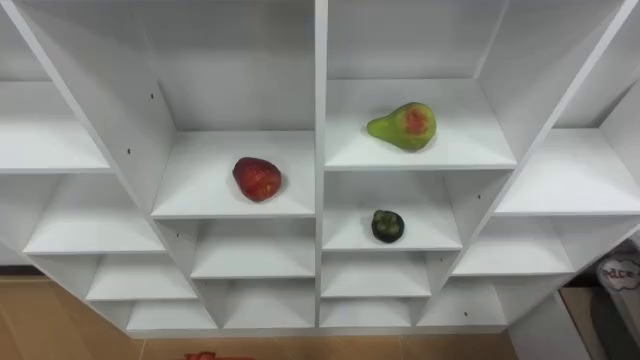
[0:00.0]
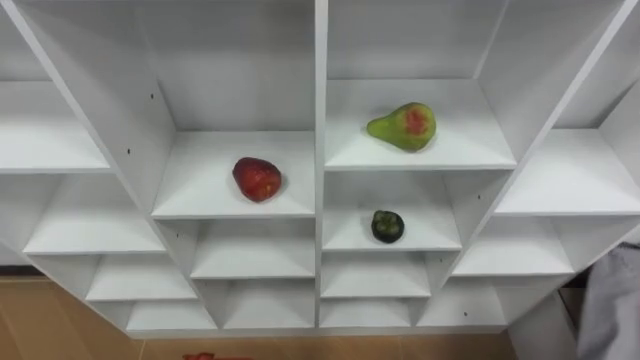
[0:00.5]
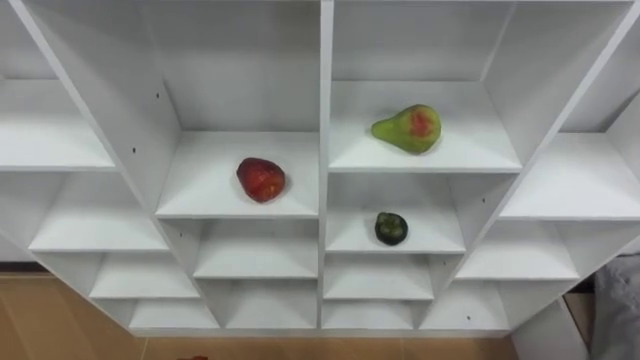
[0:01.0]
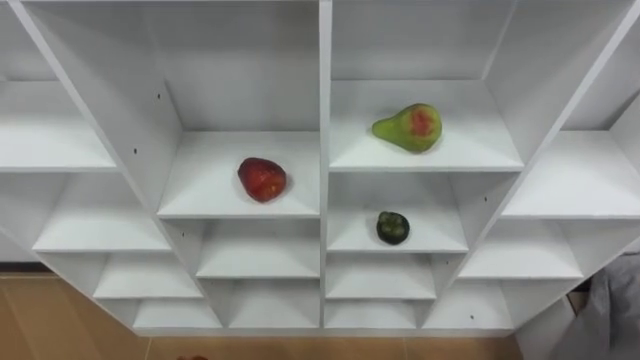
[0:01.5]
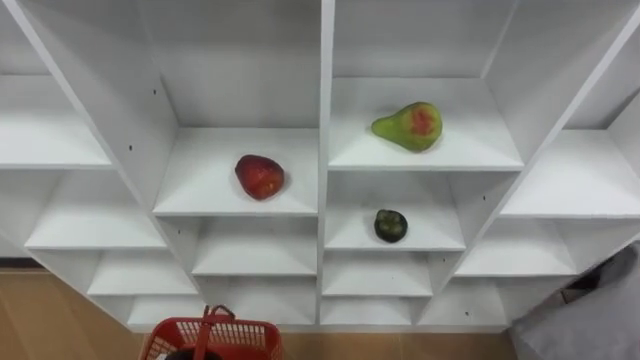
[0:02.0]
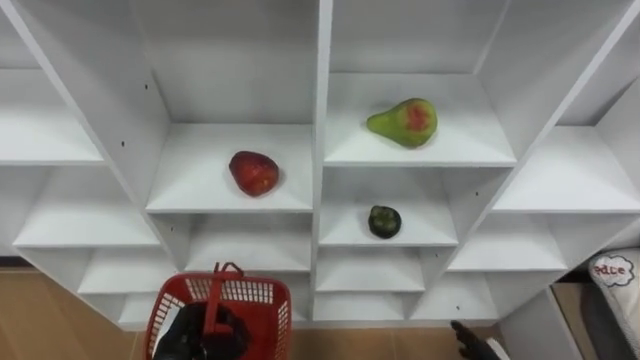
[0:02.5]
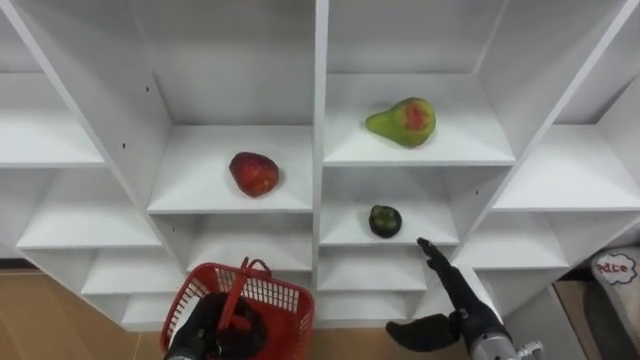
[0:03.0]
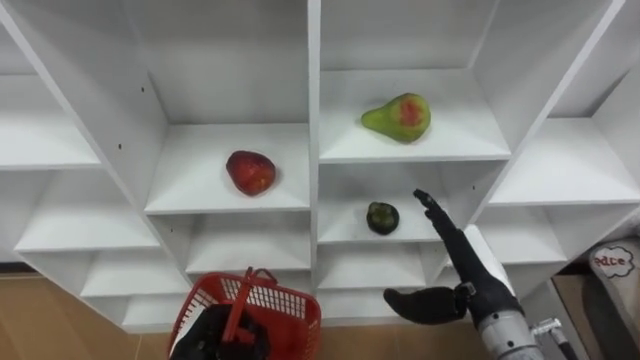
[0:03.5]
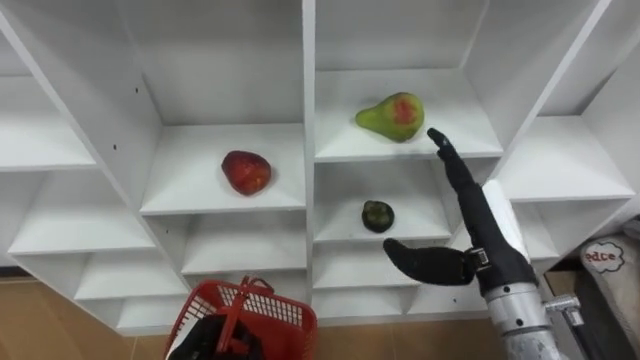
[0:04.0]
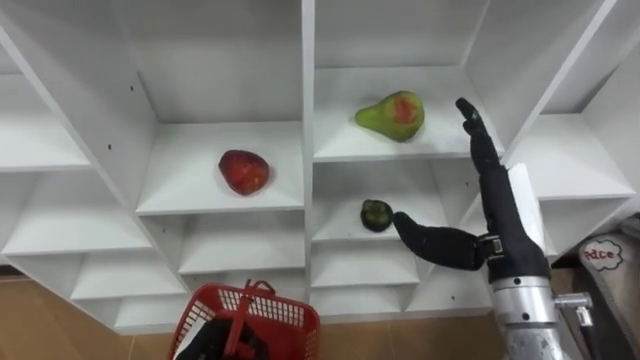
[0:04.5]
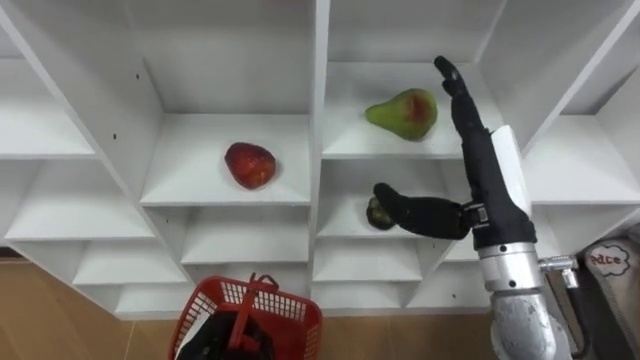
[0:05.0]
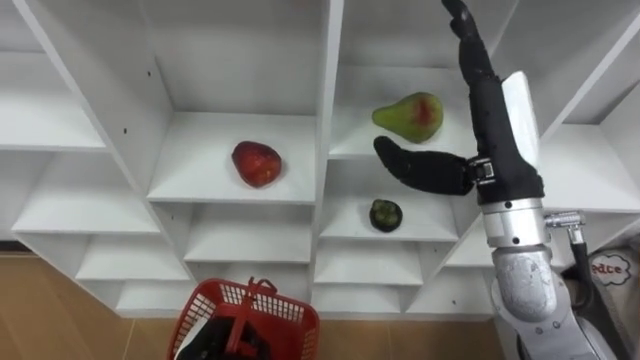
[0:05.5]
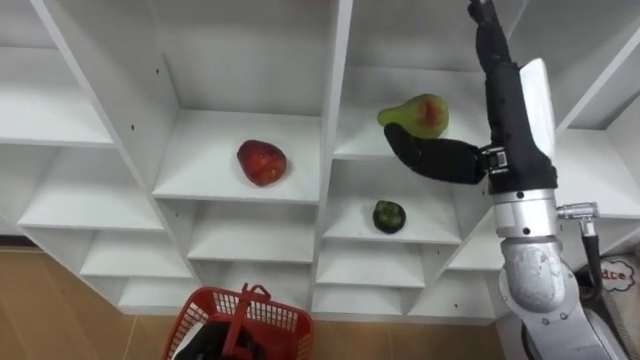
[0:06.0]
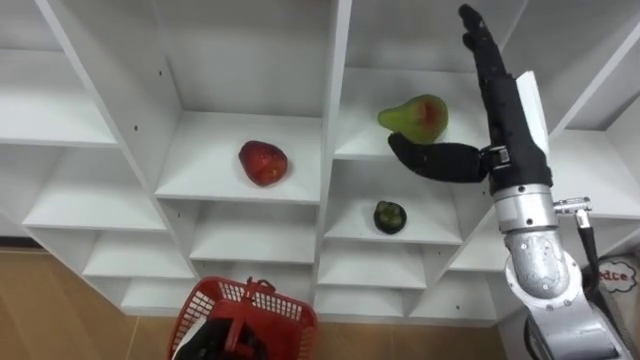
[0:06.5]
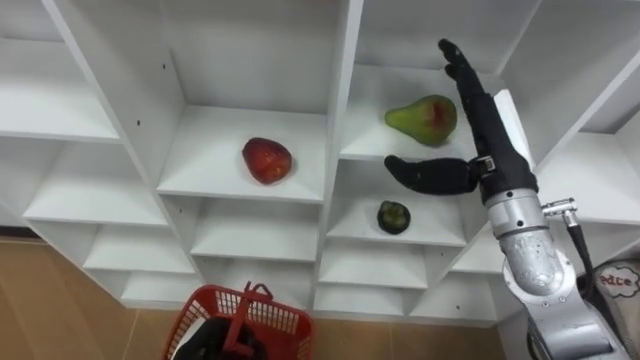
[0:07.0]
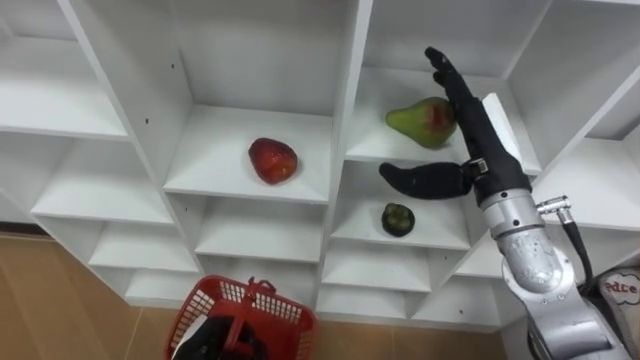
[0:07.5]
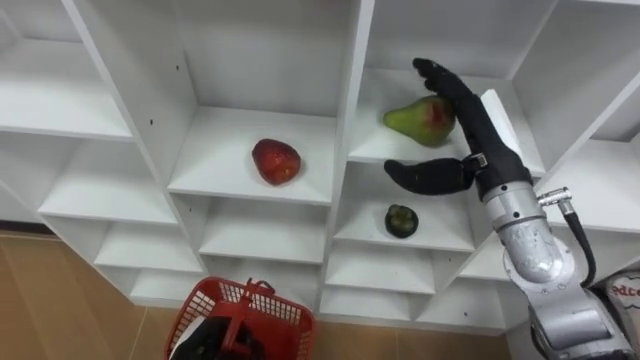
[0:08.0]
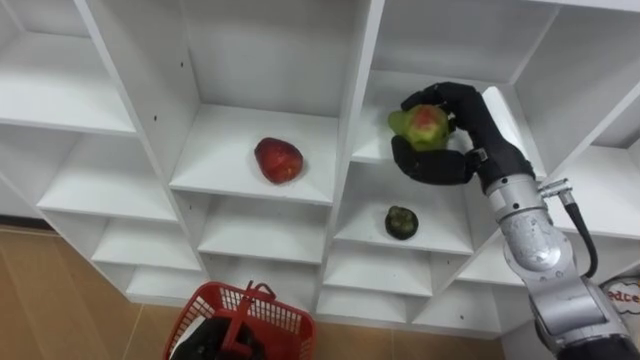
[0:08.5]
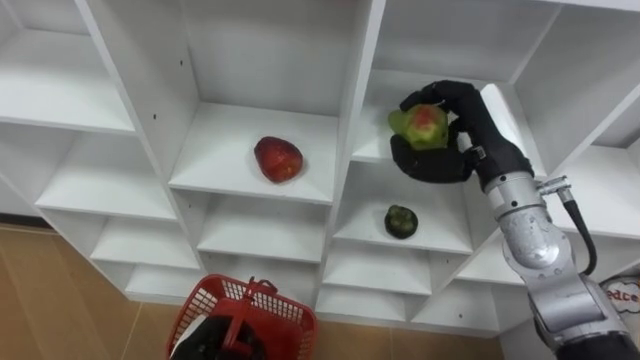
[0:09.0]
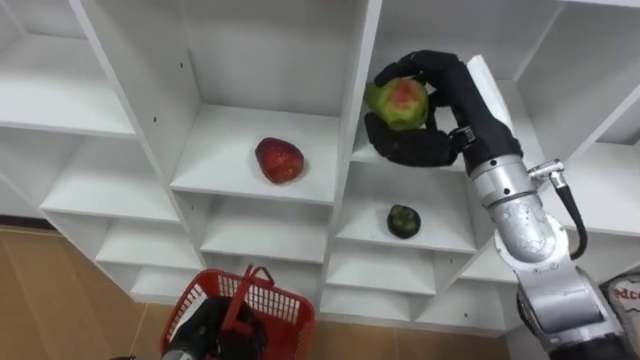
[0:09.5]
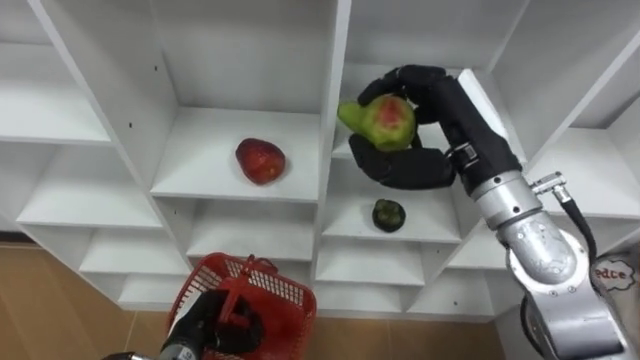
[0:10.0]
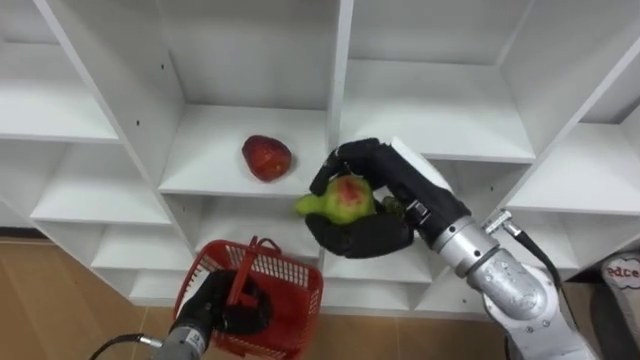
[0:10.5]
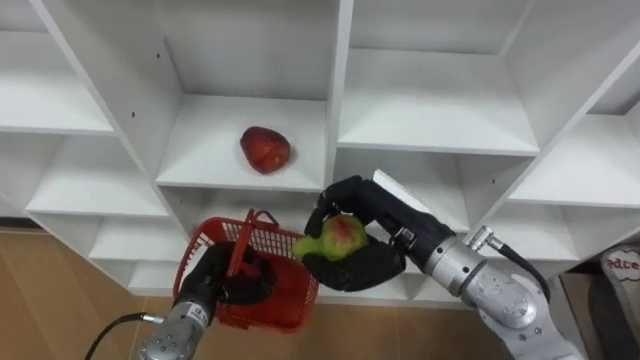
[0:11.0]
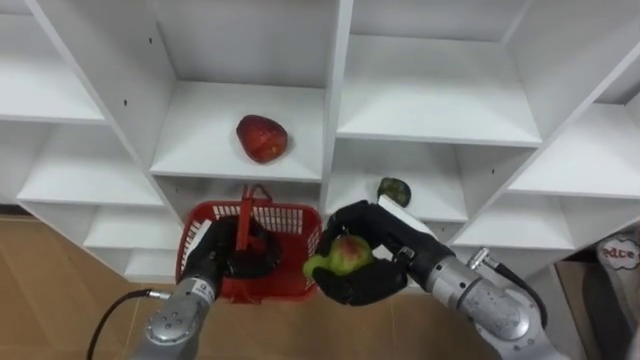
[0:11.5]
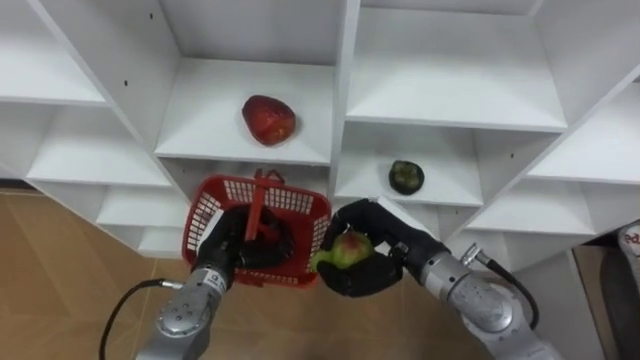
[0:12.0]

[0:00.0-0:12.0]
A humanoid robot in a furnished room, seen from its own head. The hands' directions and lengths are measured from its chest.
Task of the whole recording: Hold the basket and collect the fruits from 3 different cells of the closet into it.
0:04.0 to 0:06.0: The right hand goes roughly 10 cm upward.
0:06.0 to 0:08.0: The right hand shifts about 5 cm downward.
0:08.0 to 0:10.0: The right hand changes place by roughly 5 cm, and closes its fingers.
0:10.0 to 0:12.0: The left hand is displaced forward and upward by some 10 cm. The right hand travels downward by about 15 cm.

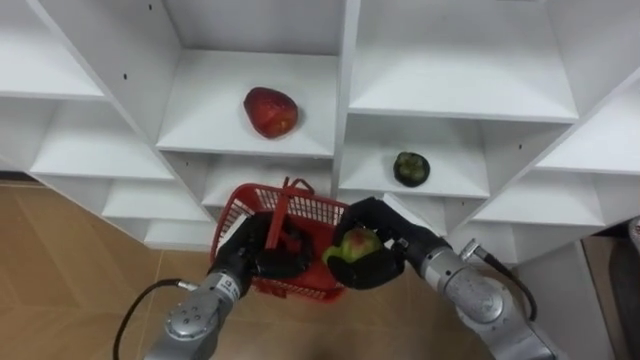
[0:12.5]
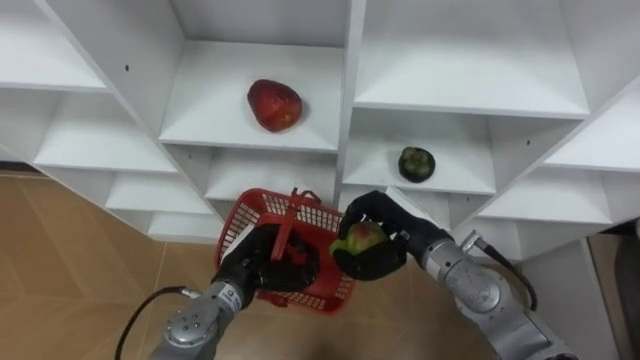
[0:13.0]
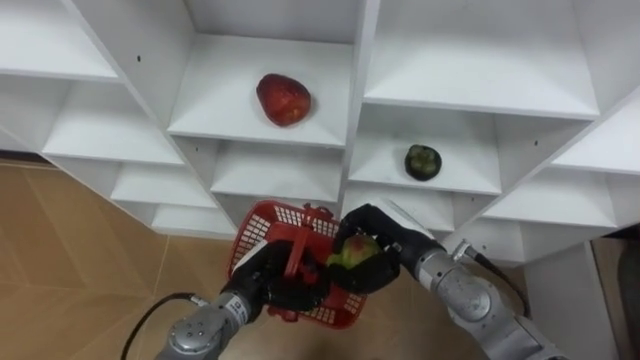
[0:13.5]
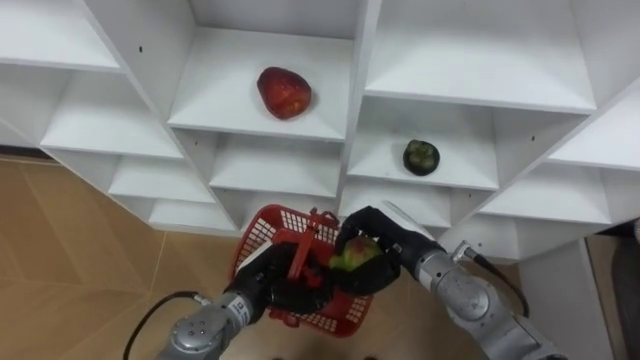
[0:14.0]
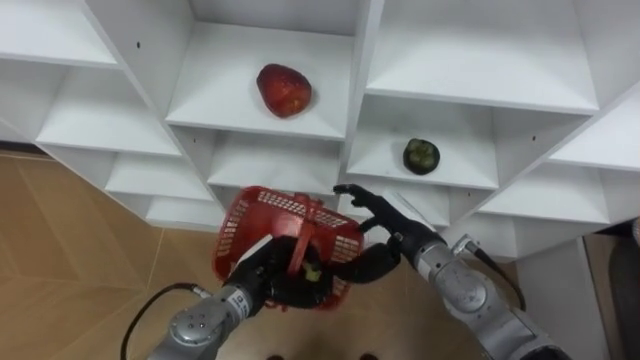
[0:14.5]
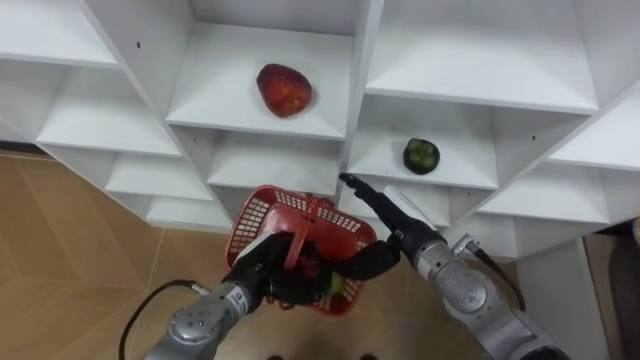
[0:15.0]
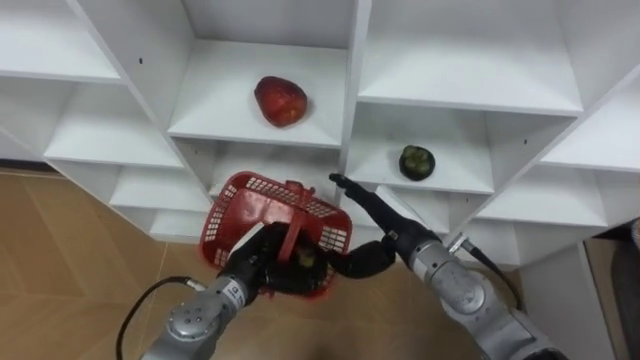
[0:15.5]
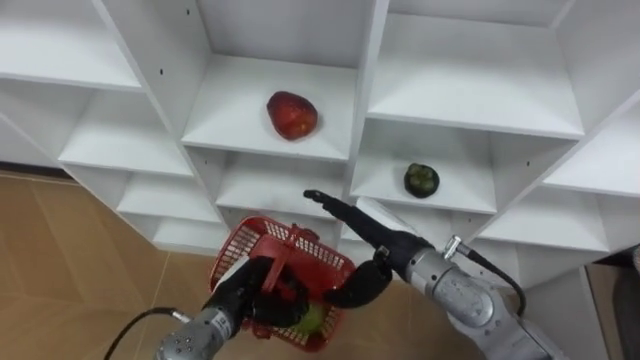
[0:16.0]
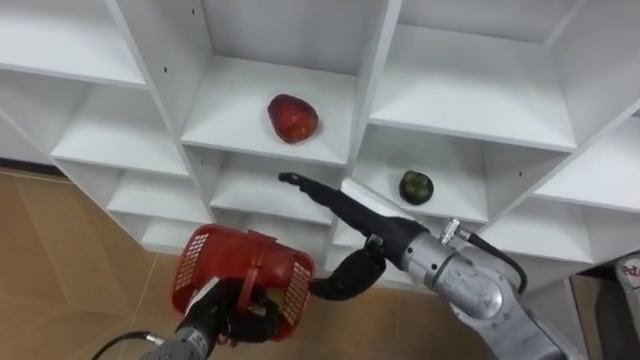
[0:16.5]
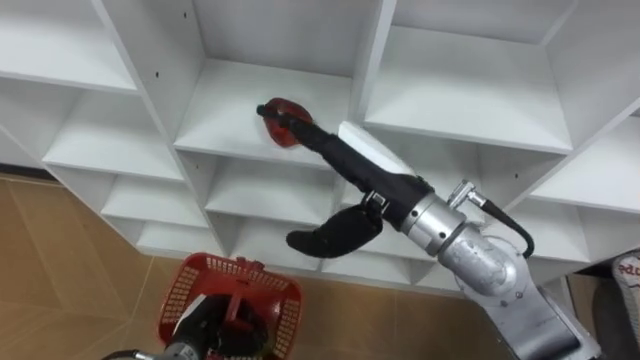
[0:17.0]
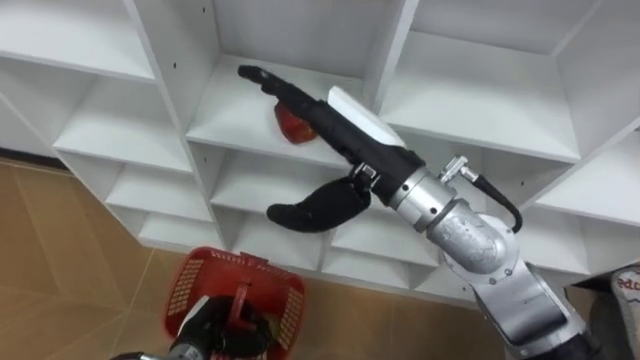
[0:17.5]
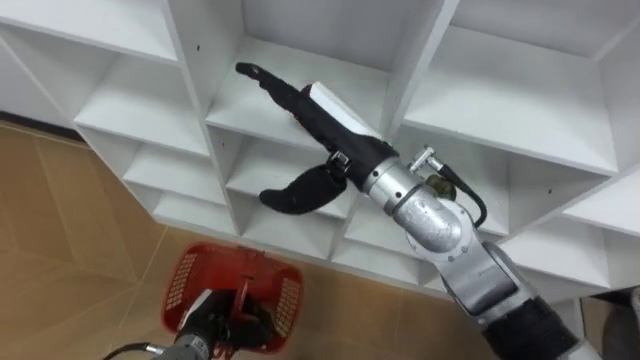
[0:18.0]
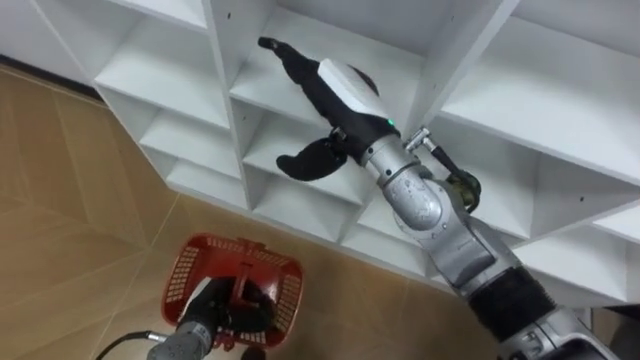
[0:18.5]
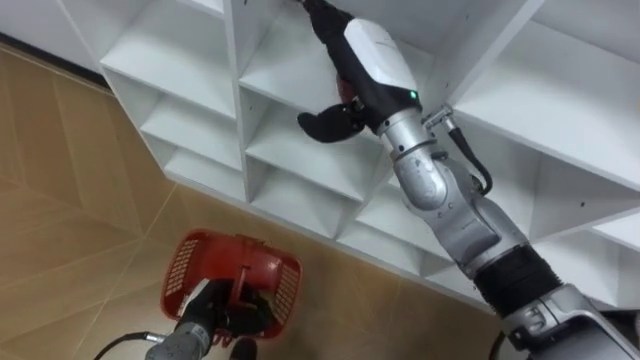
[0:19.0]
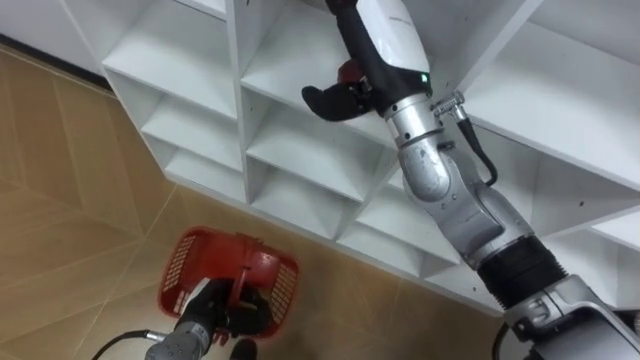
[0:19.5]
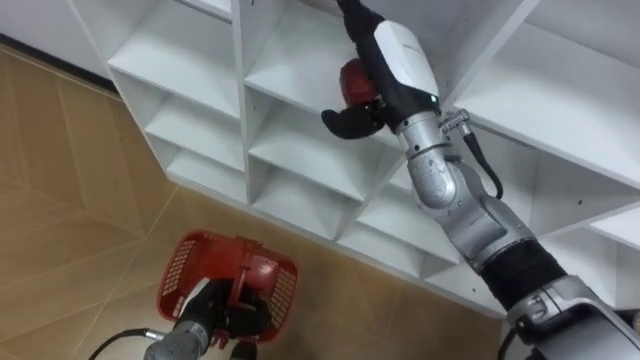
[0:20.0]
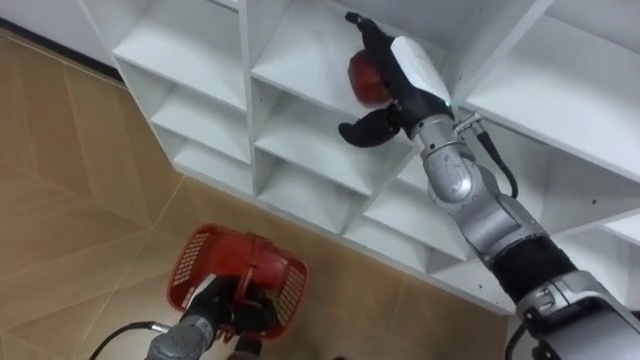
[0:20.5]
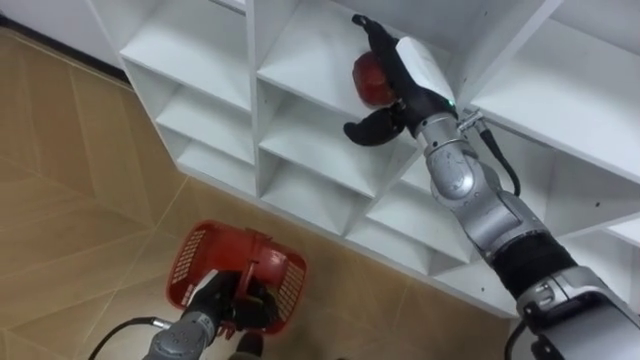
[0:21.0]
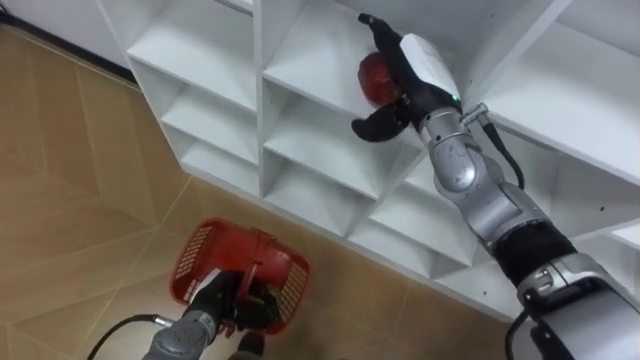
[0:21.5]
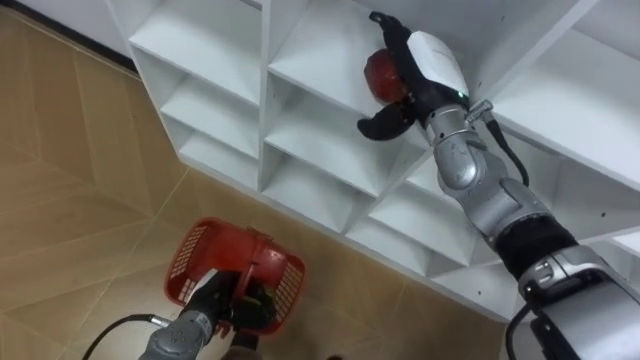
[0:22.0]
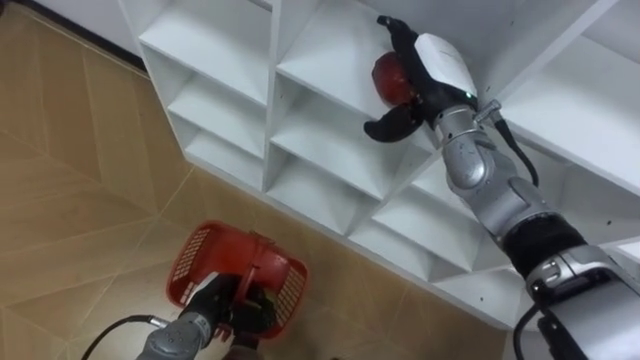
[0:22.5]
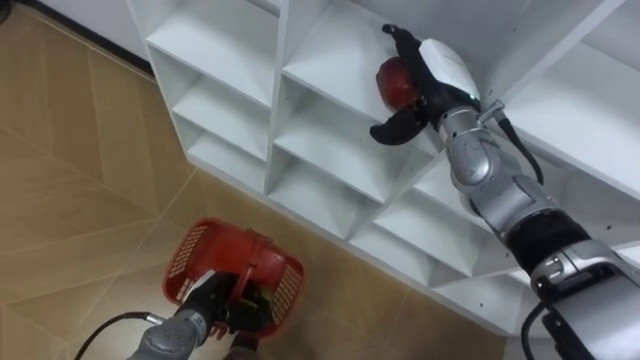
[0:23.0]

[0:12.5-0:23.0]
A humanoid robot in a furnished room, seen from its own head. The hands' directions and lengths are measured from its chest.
Task of the whole recording: Hold the basket and collect the fruits from 3 different cells of the closet into it.
0:12.5 to 0:14.5: The right hand opens its fingers.
0:14.5 to 0:16.5: The right hand is displaced upward by about 10 cm. Meanwhile the left hand travels to the left and downward by some 10 cm.
0:16.5 to 0:19.0: The right hand travels upward and forward by some 15 cm.
0:19.0 to 0:21.0: The right hand goes approximately 5 cm to the right.
